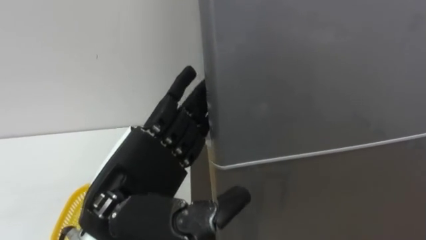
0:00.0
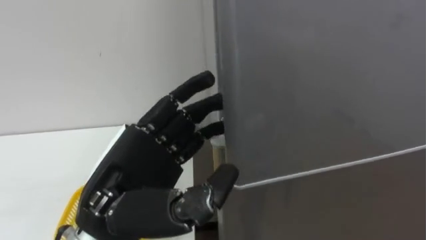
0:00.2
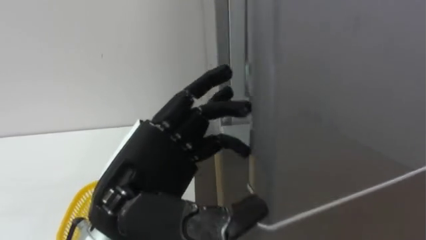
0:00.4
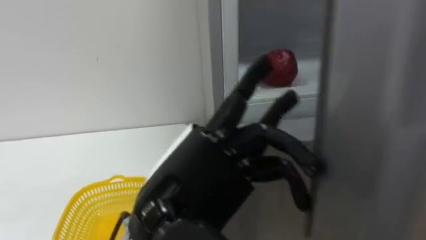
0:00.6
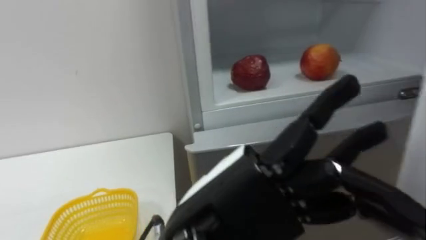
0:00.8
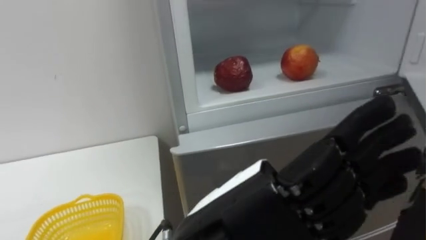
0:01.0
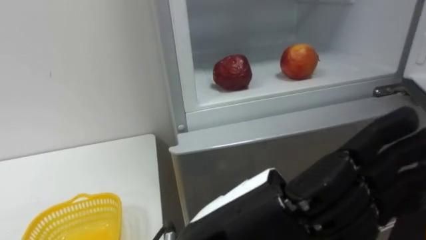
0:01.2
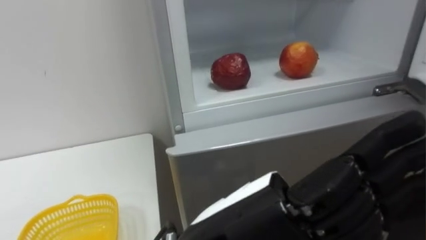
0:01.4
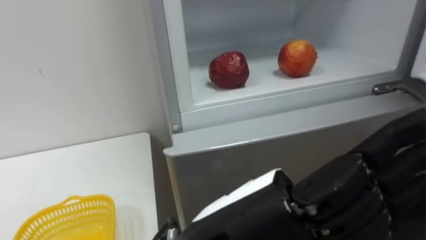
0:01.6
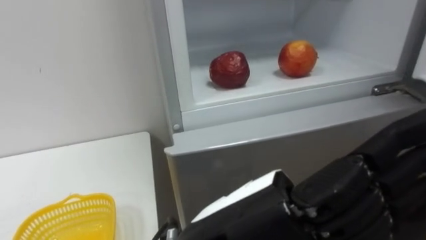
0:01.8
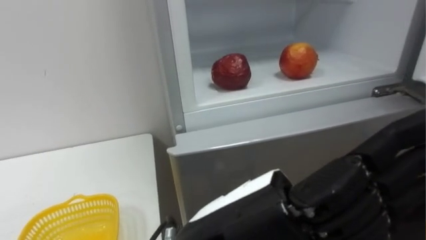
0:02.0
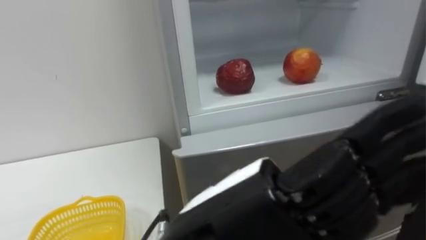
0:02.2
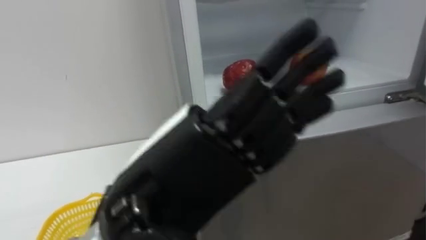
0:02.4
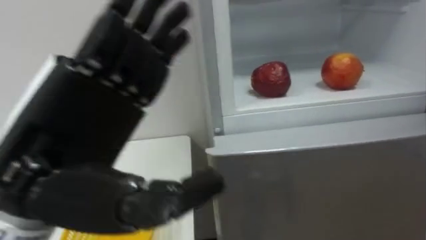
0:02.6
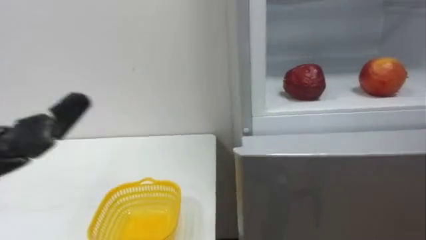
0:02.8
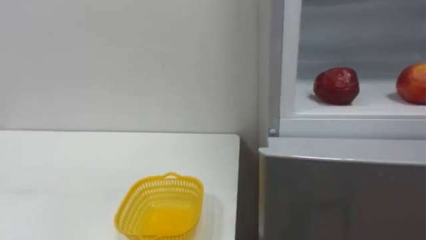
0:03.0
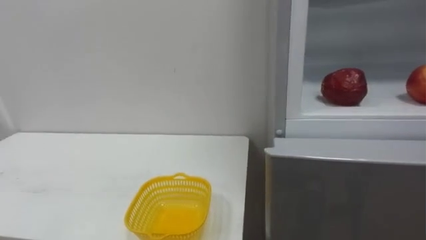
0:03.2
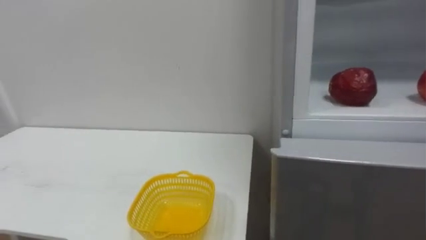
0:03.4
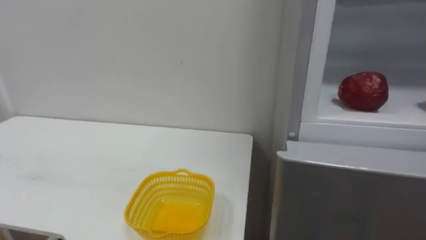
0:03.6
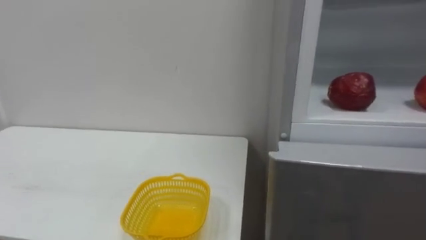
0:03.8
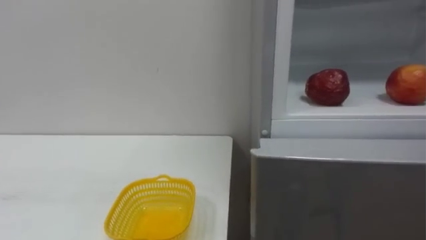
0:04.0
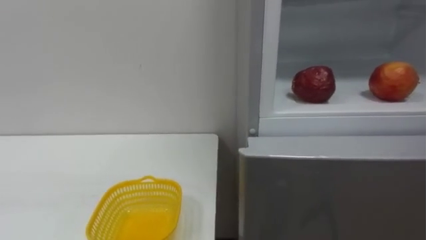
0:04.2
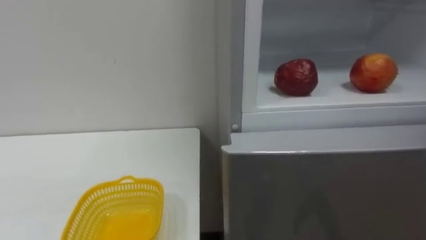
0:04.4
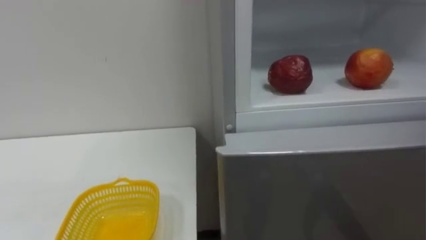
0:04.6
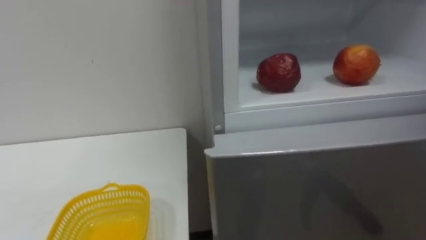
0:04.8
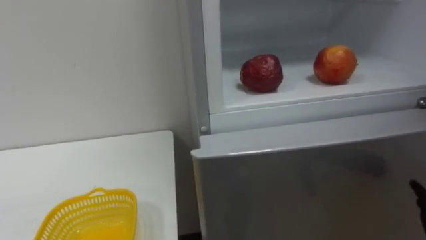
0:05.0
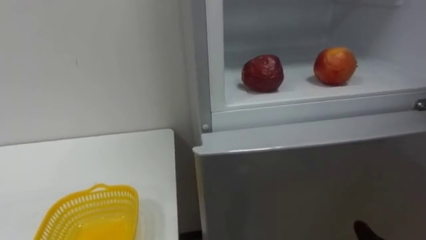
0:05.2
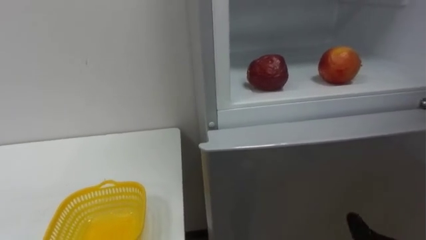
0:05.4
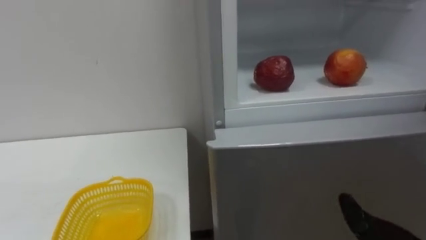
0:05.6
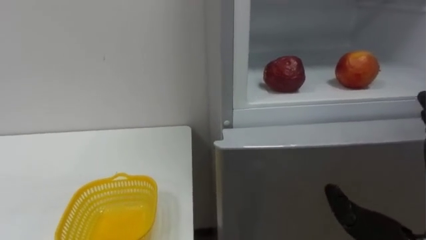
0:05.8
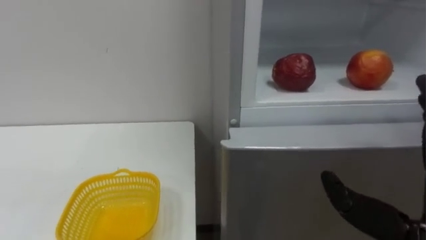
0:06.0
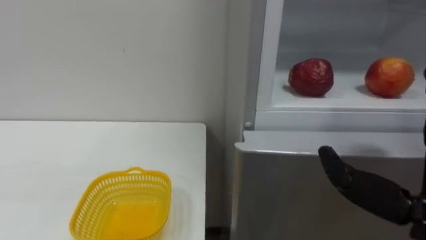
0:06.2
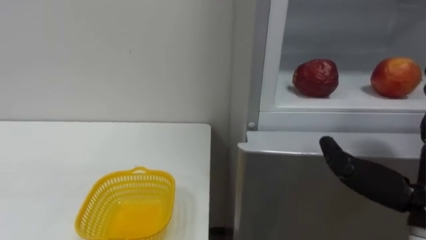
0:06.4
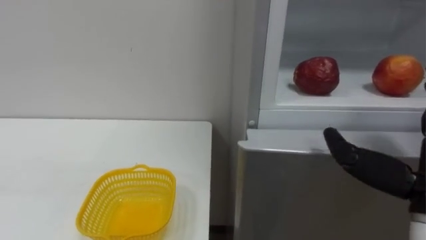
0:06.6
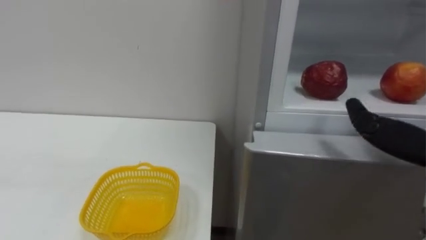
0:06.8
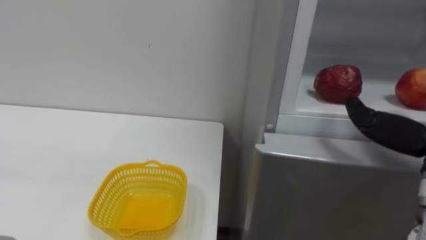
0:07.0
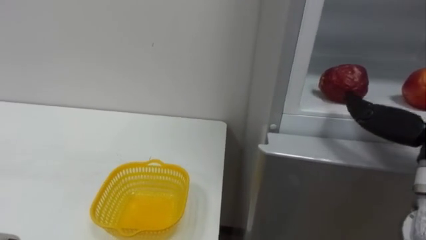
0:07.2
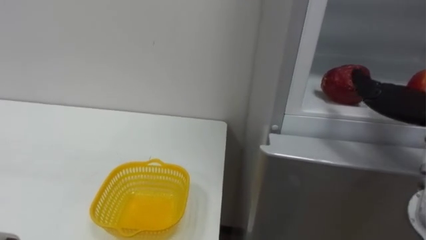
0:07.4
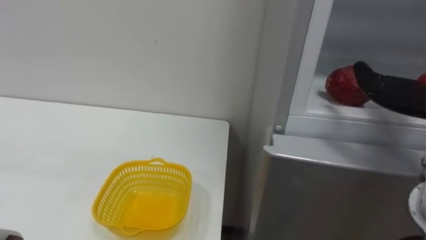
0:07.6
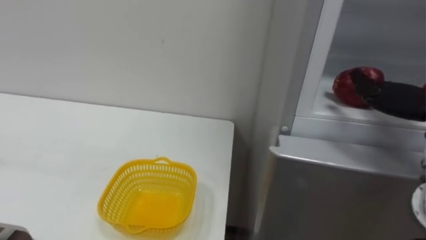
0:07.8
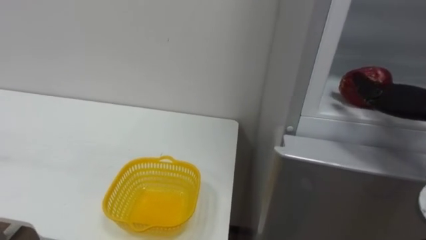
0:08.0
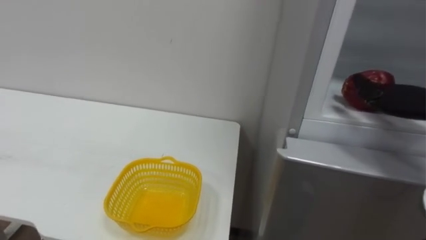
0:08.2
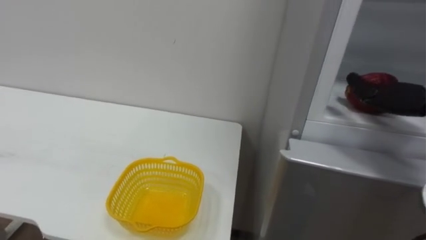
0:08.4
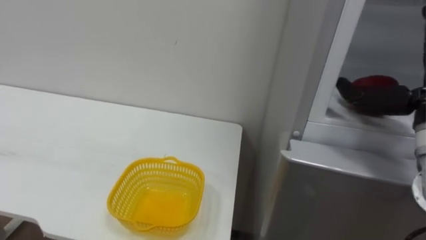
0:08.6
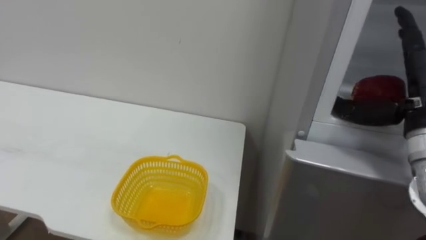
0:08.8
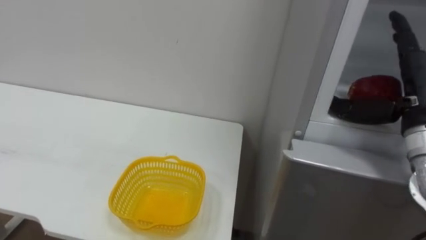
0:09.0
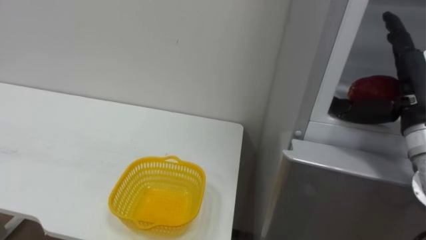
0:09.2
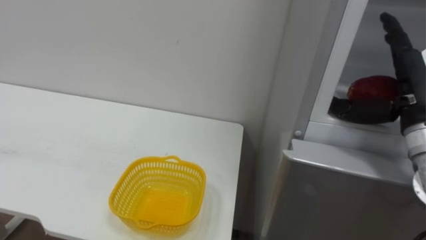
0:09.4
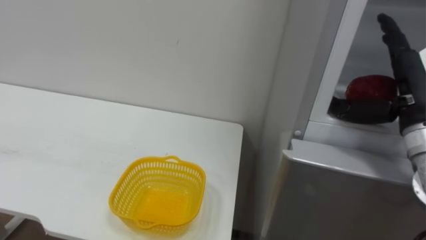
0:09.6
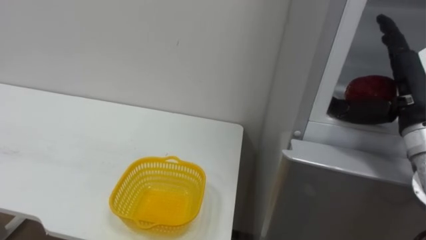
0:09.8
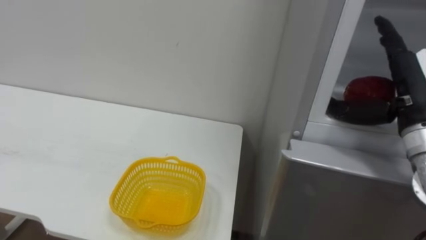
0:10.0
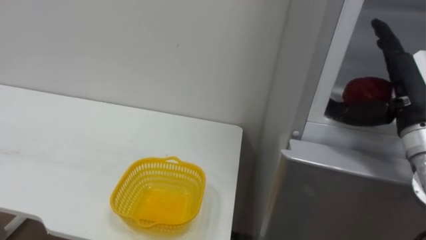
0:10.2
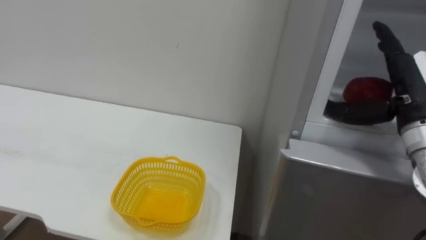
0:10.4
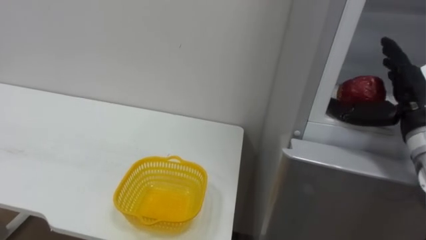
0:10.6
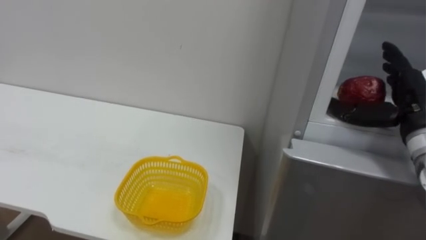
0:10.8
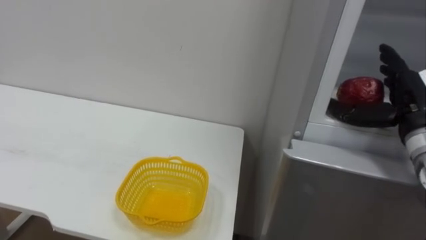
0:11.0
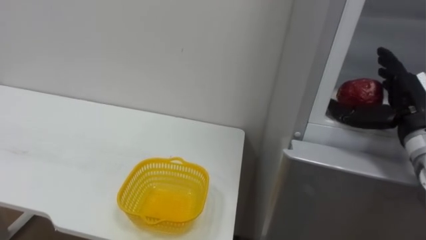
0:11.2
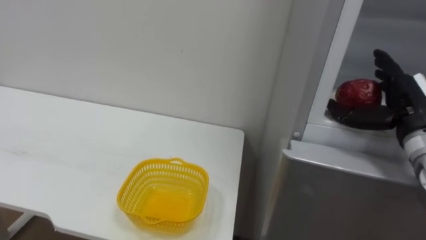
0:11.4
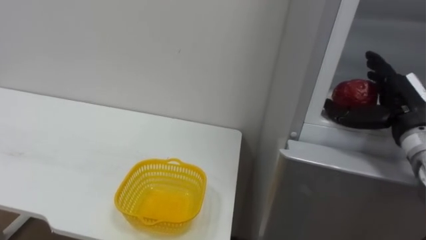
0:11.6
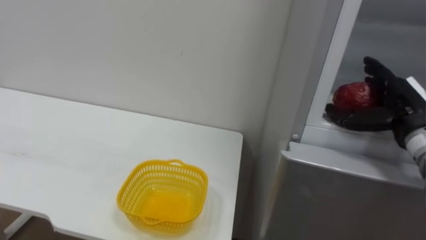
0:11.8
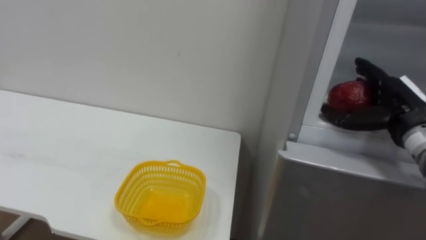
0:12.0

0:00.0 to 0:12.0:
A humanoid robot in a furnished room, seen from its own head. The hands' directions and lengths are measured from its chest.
Task of the whole recording: Open the refrigerator door, take out the apple and the pomegranate, place them in the fruit basket on the left, and close the refrigerator door.
0:00.0 to 0:01.6: The left hand is displaced to the right and backward by approximately 15 cm.
0:10.4 to 0:12.0: The right hand shifts by roughly 5 cm.

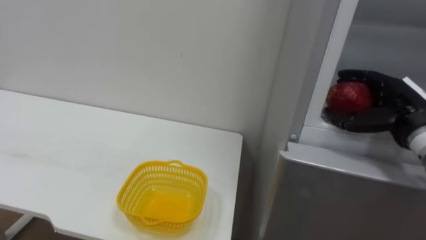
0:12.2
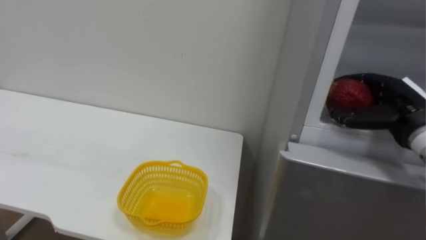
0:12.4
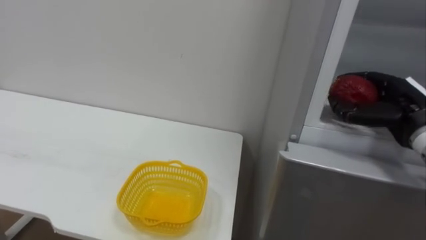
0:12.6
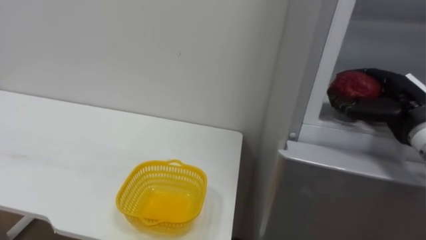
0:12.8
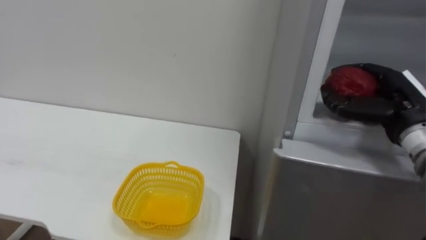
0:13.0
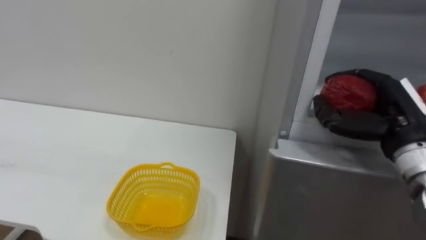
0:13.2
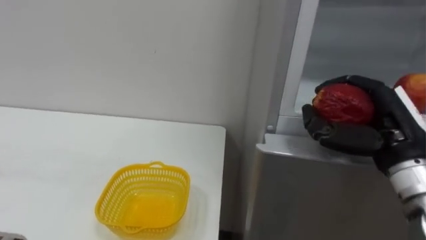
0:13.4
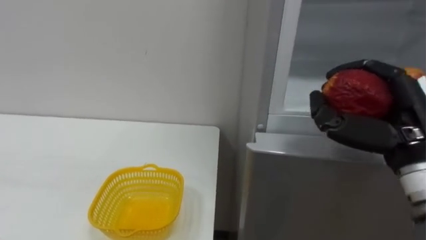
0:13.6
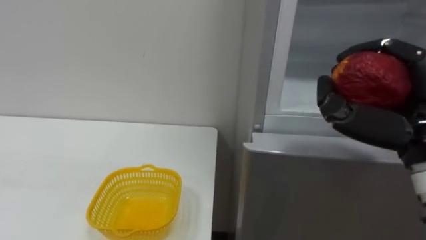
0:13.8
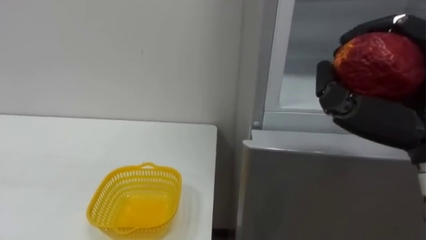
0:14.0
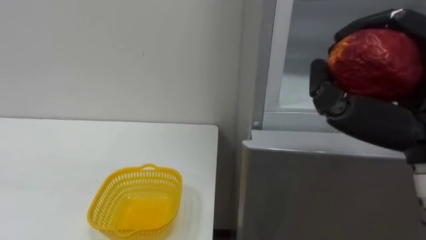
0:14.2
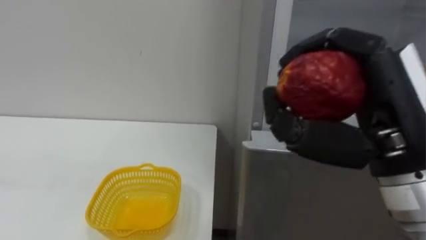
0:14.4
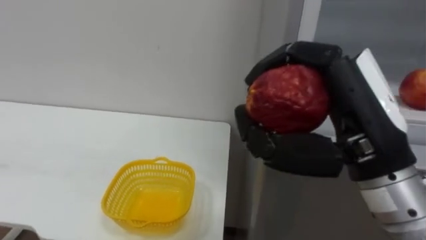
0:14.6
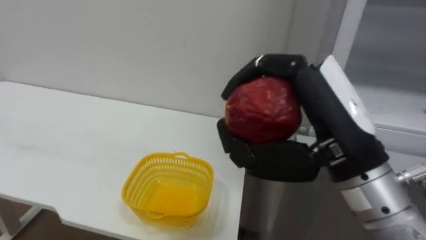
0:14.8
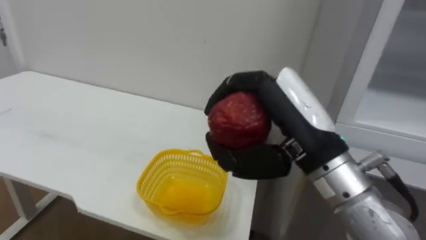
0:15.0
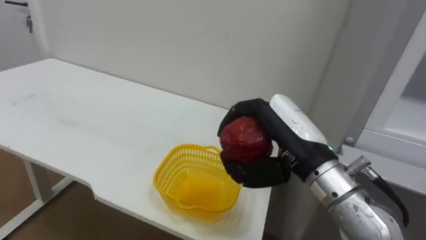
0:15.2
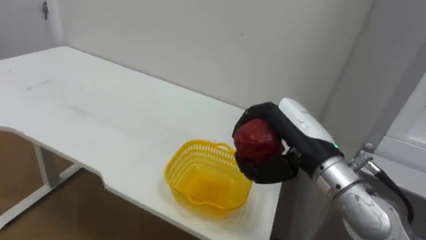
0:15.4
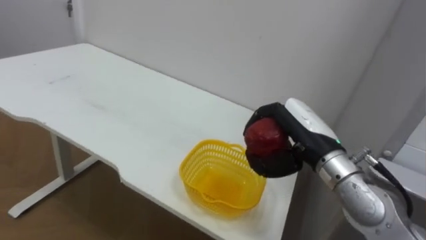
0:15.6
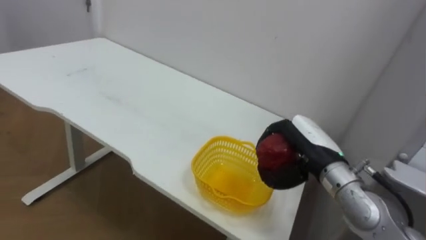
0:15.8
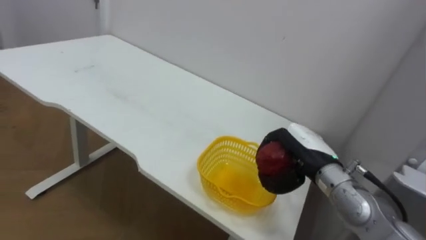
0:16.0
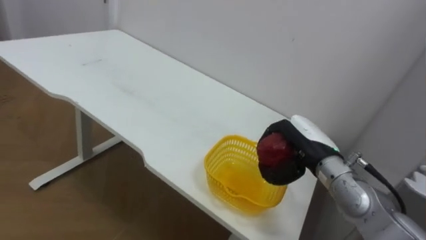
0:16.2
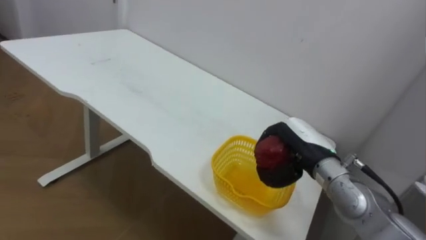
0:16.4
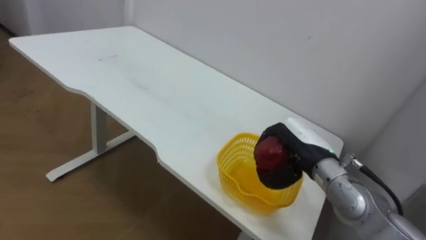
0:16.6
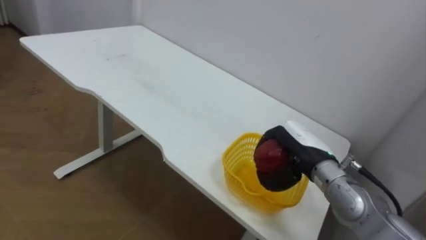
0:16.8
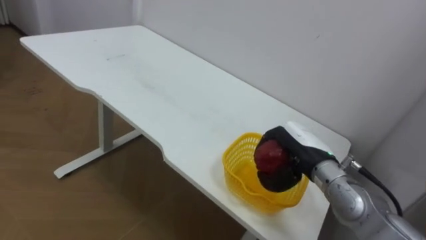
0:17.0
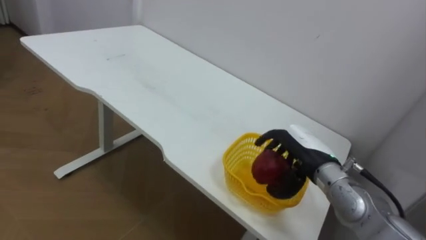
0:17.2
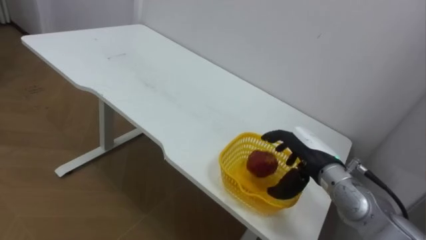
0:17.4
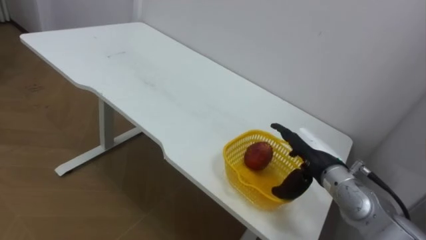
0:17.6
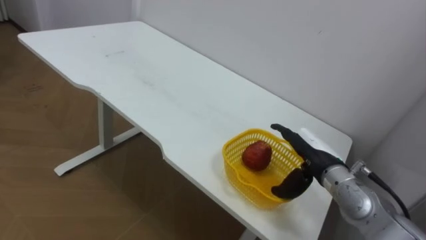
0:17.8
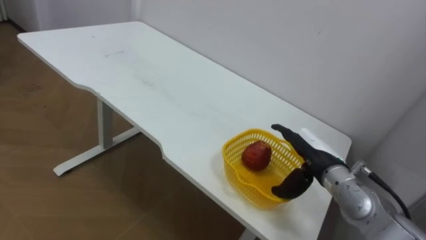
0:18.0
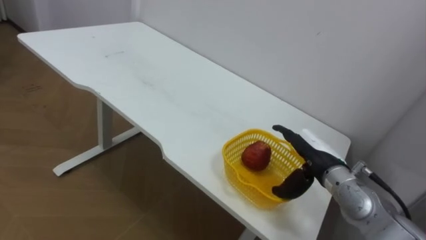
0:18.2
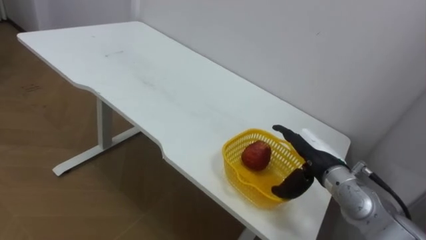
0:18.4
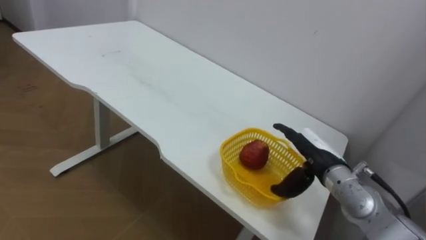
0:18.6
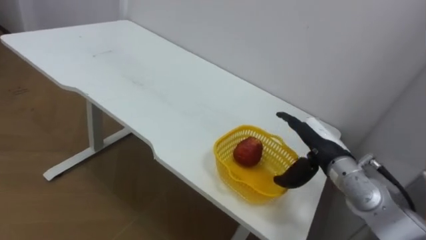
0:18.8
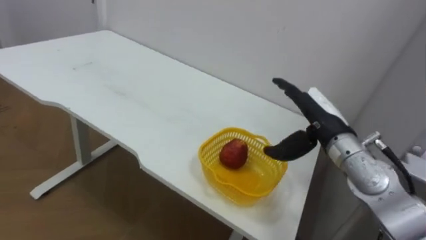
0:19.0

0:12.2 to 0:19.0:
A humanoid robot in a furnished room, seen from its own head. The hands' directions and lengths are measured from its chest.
Task of the whole recording: Open the refrigerator door, take out the apple and the pomegranate, place them in the fruit basket on the left, and close the refrigerator door.
0:12.2 to 0:13.6: The right hand travels backward and to the left by approximately 10 cm, and closes its fingers.
0:13.6 to 0:15.0: The right hand heads to the left, covering some 15 cm.
0:15.0 to 0:16.2: The right hand travels downward, forward and to the right by some 20 cm.
0:16.2 to 0:17.6: The right hand opens up.
0:17.6 to 0:19.0: The right hand shifts about 10 cm upward.
